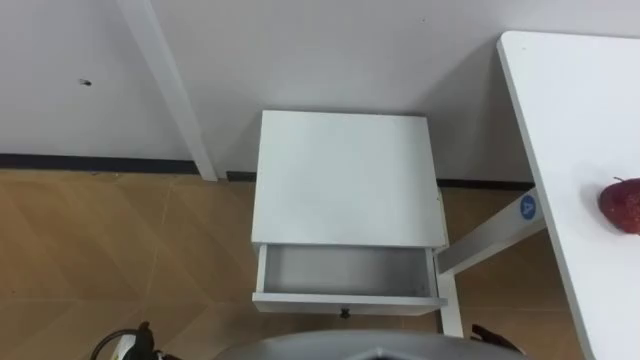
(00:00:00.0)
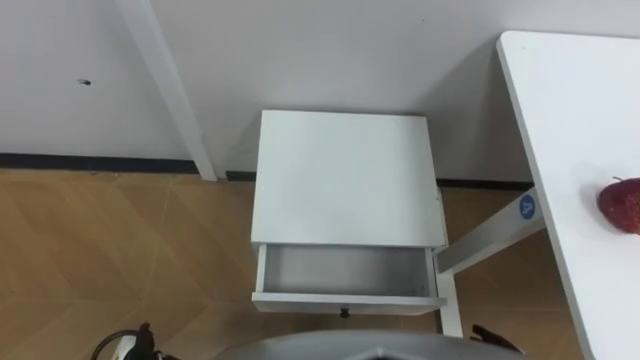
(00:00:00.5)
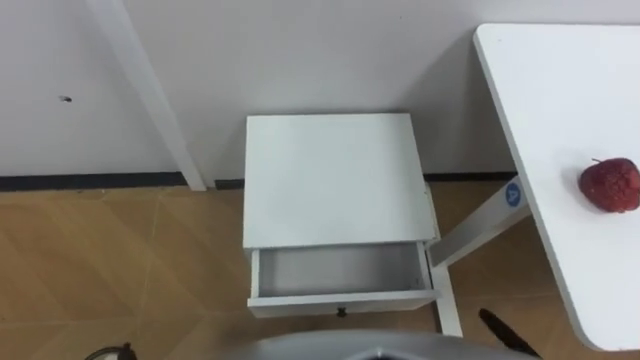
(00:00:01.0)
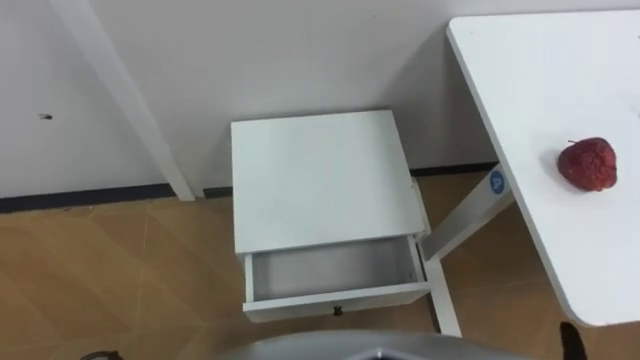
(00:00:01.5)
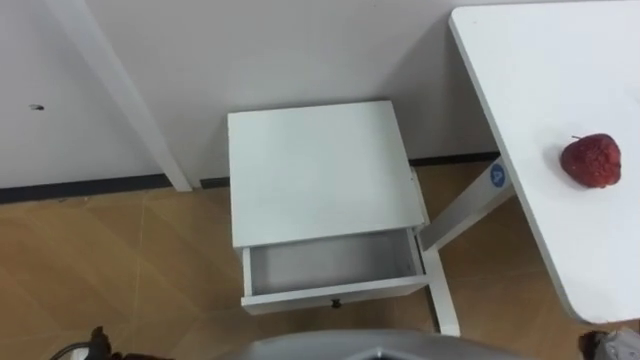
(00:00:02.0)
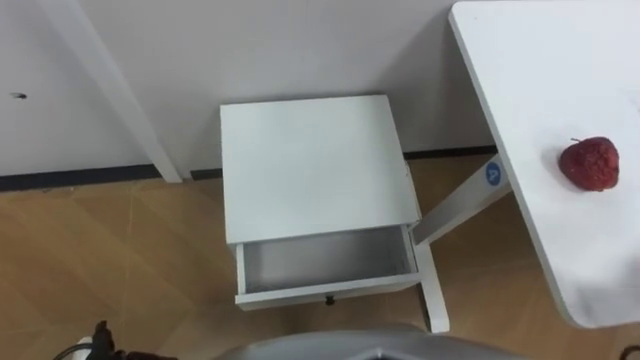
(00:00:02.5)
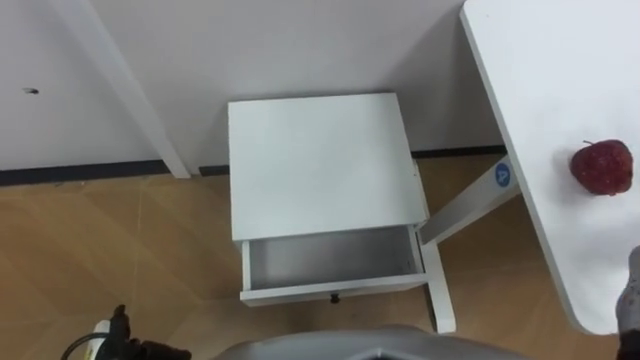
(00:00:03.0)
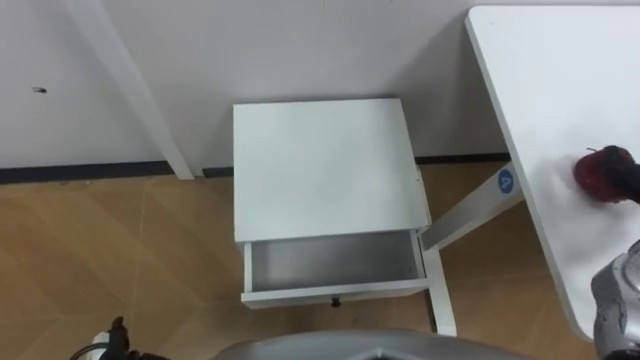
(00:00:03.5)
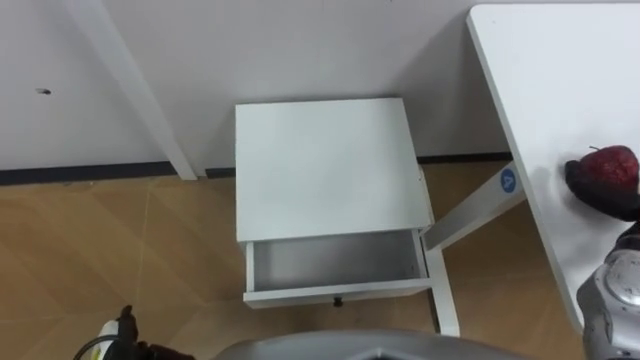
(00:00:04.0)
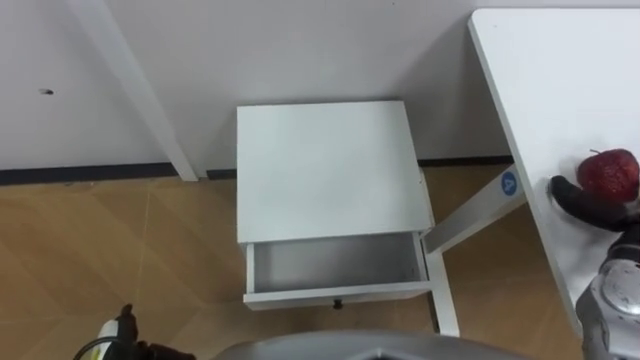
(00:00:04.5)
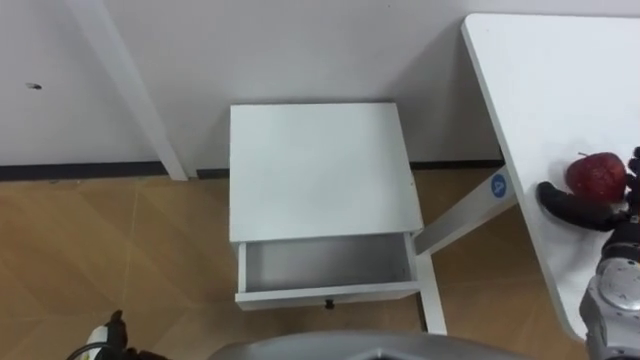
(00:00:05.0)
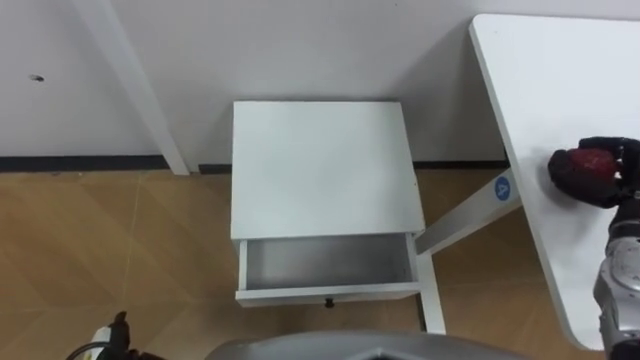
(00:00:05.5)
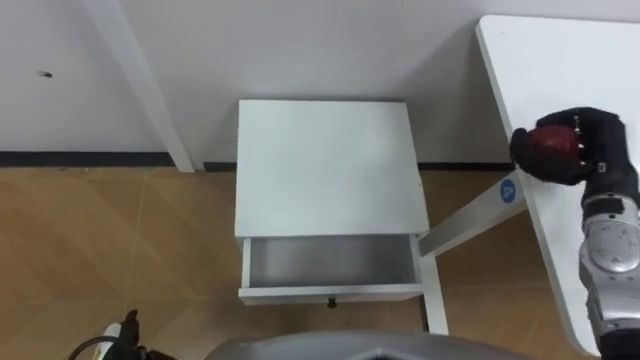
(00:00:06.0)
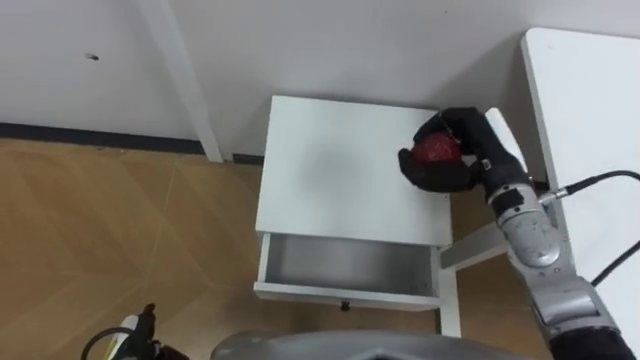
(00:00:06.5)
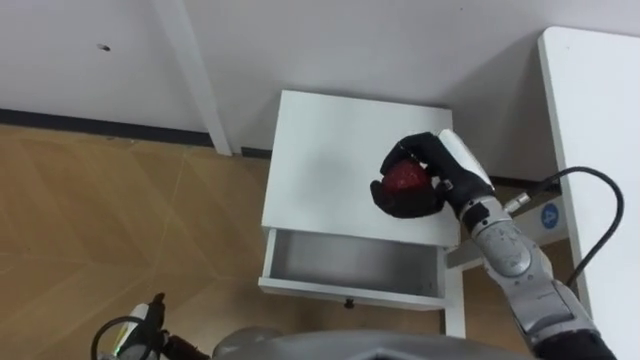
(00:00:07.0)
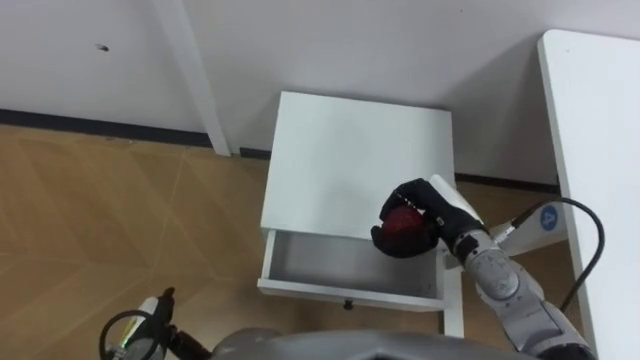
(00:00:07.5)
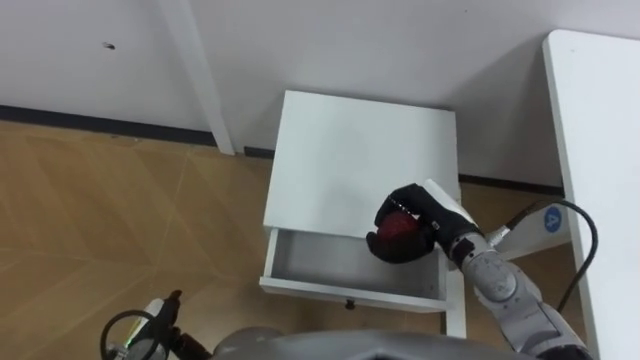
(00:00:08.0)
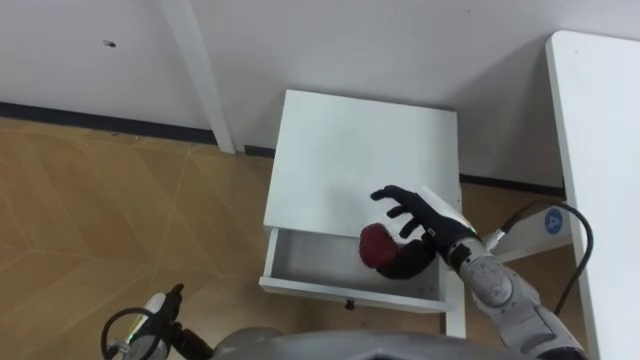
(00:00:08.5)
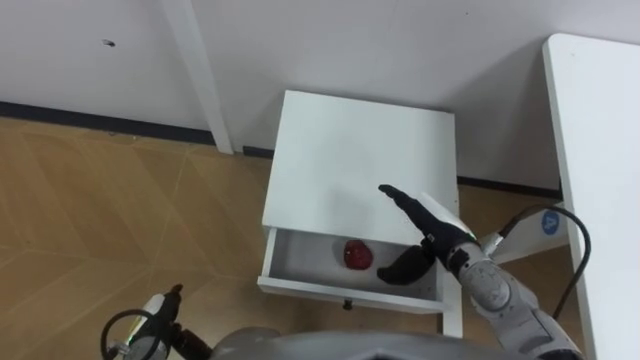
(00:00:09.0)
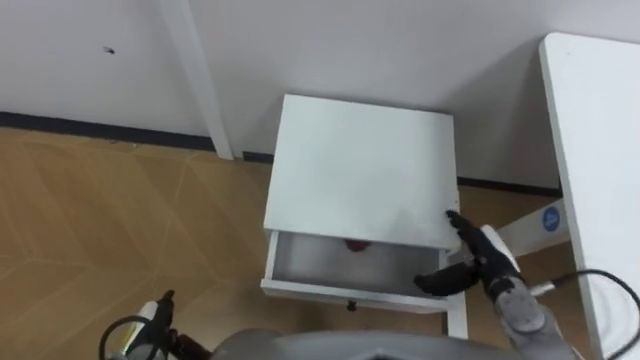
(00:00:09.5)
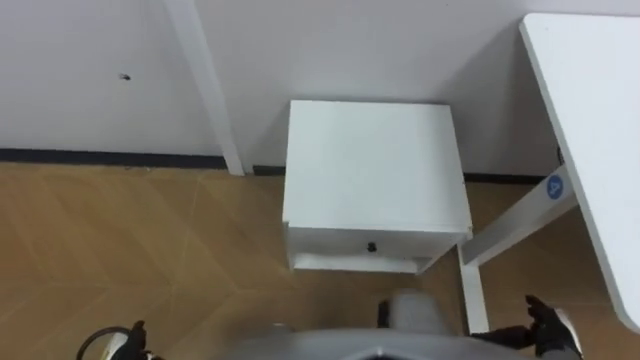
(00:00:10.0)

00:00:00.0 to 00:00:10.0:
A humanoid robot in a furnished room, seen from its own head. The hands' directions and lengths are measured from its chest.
Task of the whole recording: Pick up the apple from the table, put it in the drawer, and close the drawer with leg.
00:00:06.0 to 00:00:08.0: The right hand travels to the left and downward by some 20 cm, while the left hand shifts by some 5 cm.
00:00:08.0 to 00:00:10.0: The right hand is displaced to the right, backward and downward by roughly 25 cm, and opens its fingers.

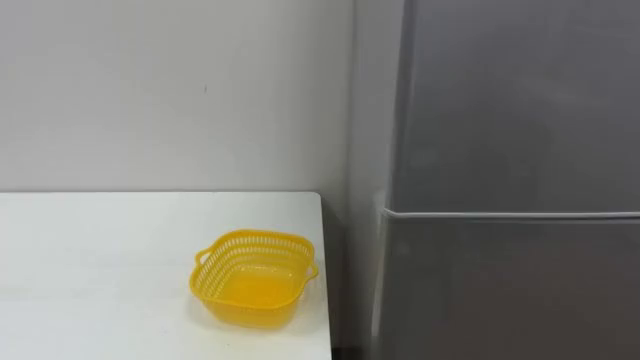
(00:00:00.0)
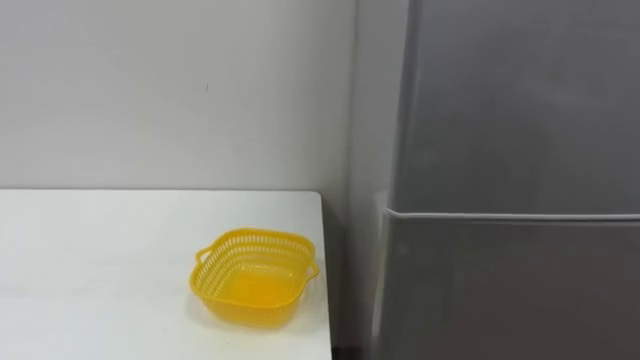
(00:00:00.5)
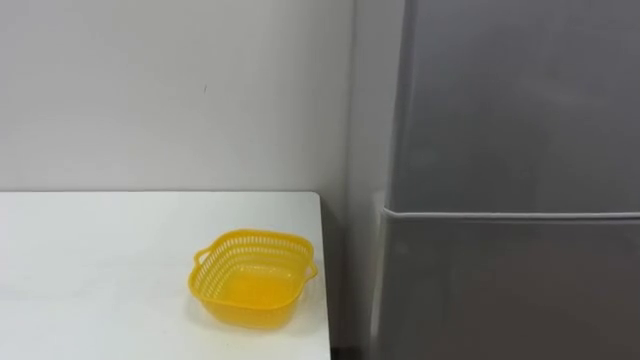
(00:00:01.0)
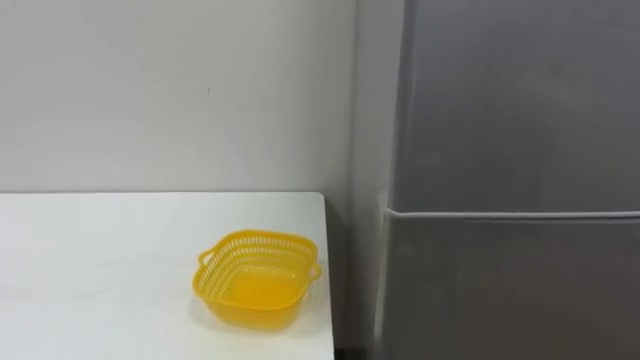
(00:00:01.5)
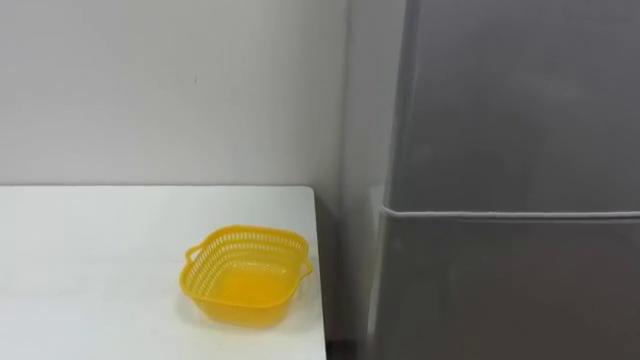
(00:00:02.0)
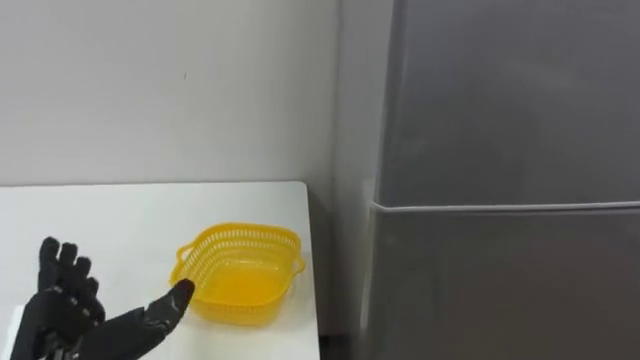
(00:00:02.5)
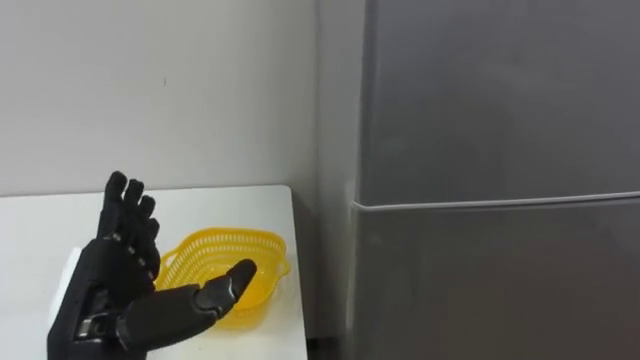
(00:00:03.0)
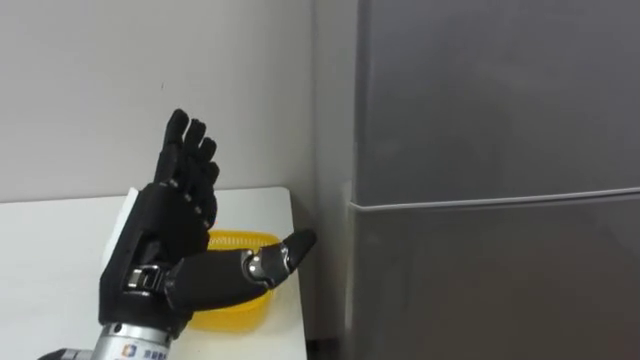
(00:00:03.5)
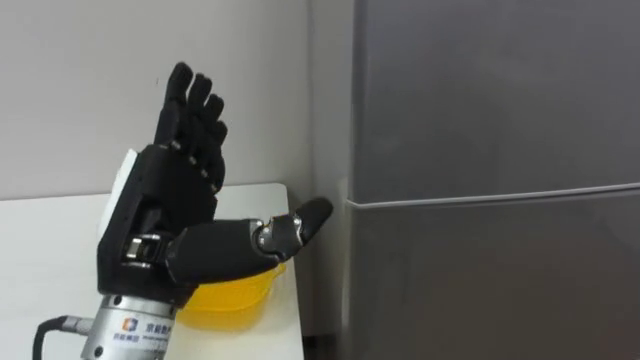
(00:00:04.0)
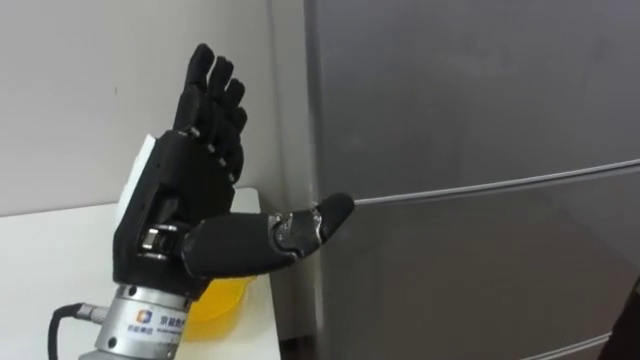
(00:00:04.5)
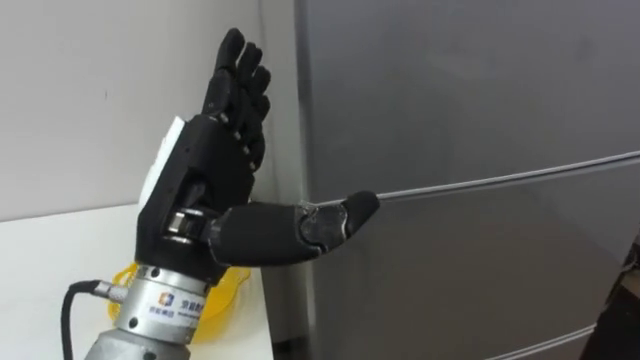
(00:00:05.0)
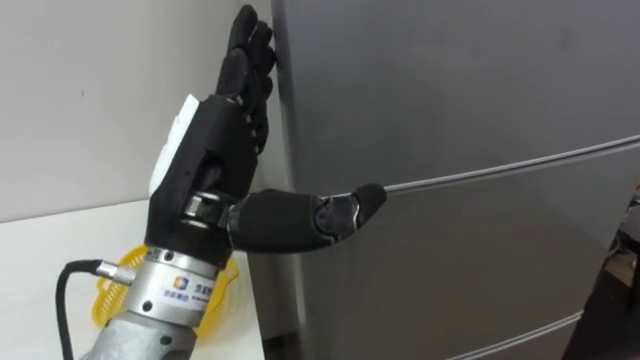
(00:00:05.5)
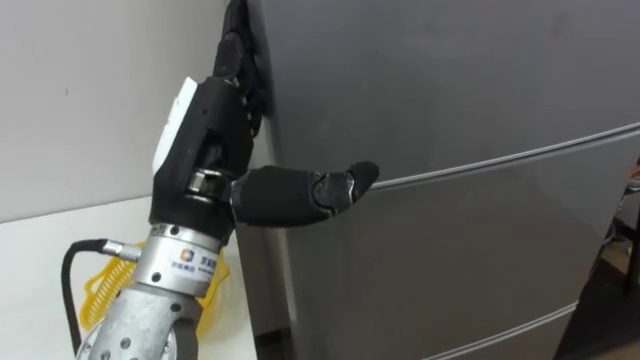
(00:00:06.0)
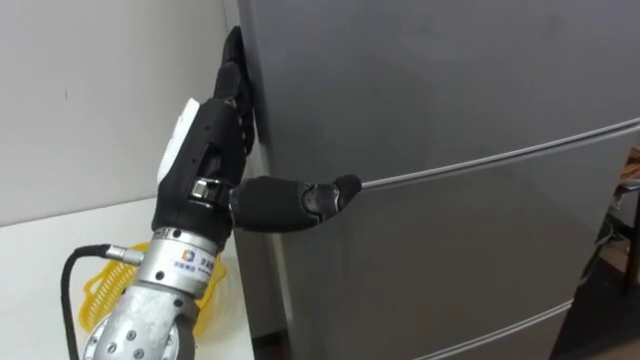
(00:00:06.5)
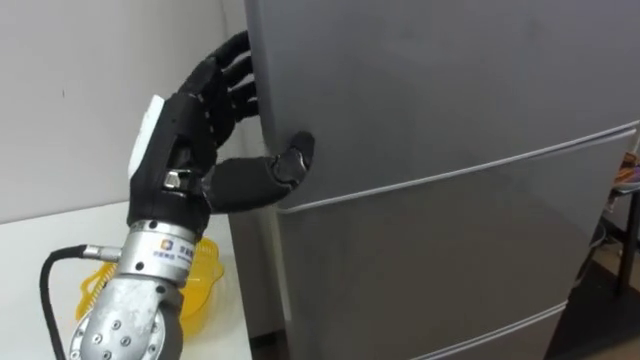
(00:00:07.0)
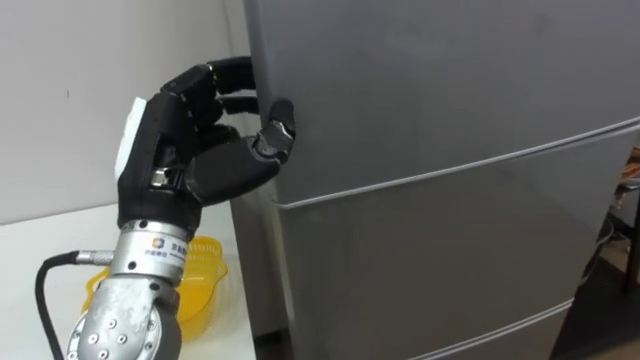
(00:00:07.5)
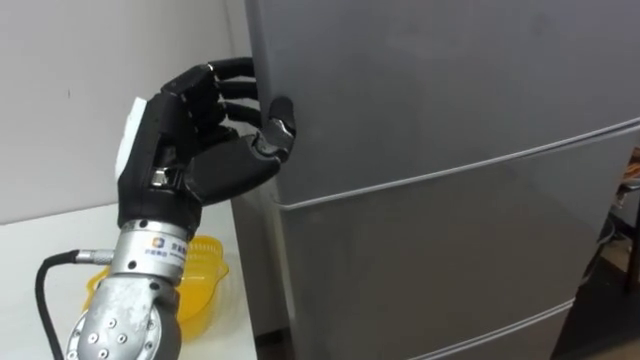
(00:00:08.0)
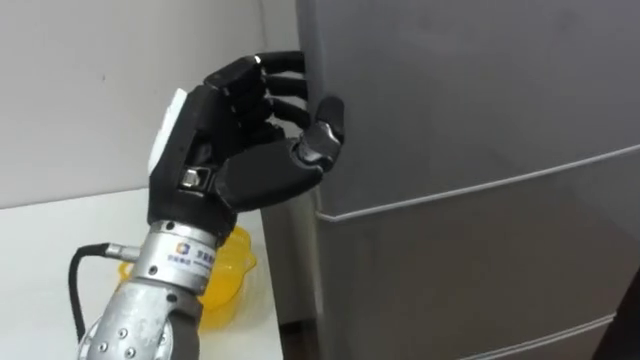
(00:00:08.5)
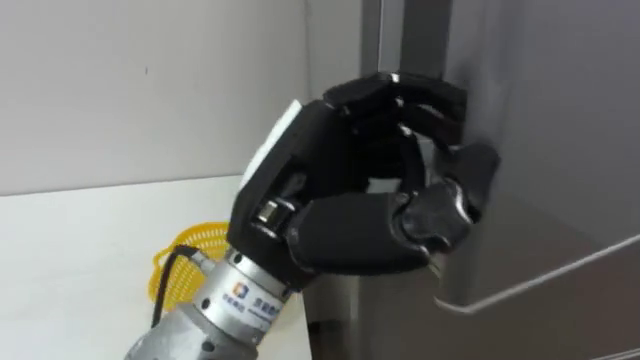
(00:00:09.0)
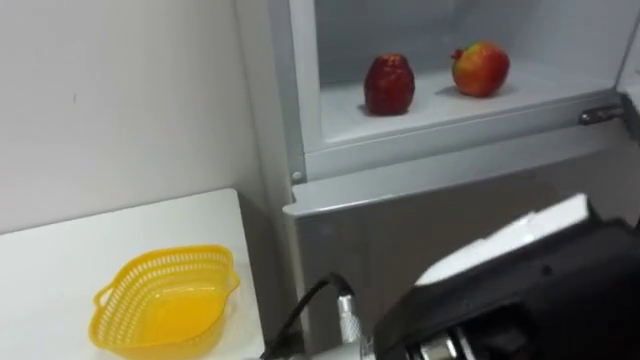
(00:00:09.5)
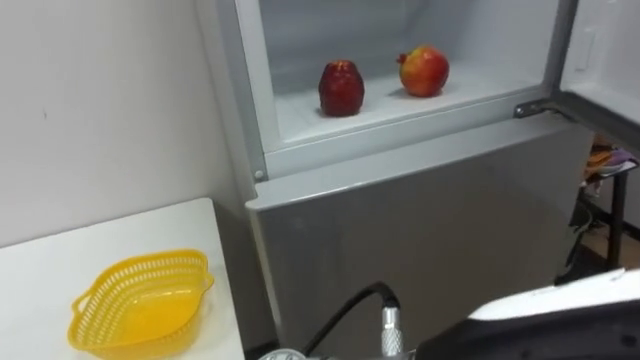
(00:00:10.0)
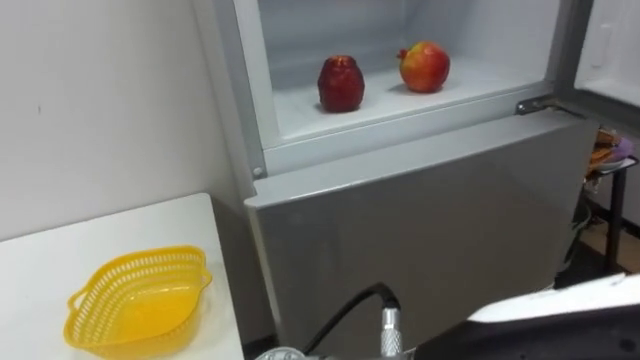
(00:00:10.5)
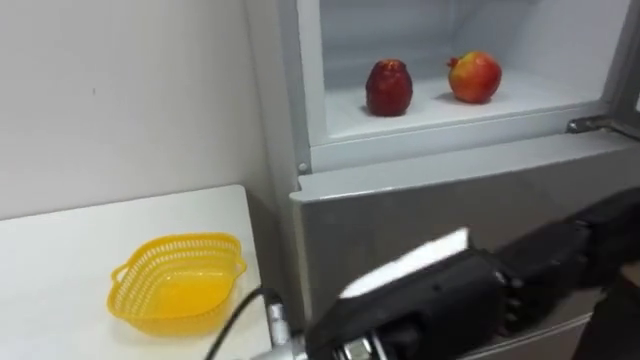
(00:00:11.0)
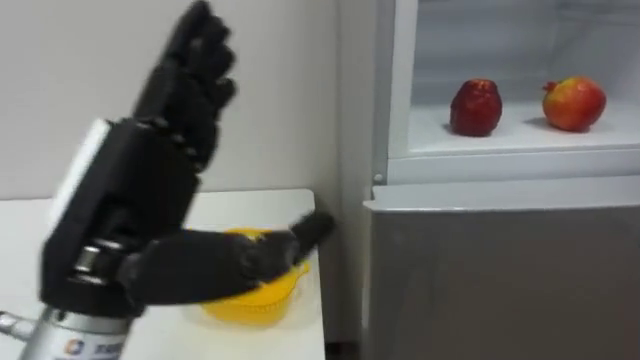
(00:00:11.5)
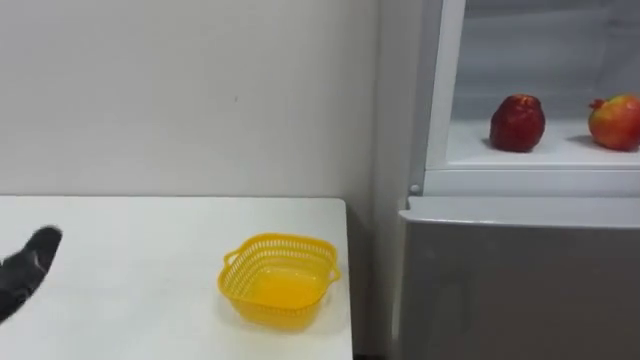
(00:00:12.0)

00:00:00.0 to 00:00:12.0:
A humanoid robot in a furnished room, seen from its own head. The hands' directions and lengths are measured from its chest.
Task of the whole recording: Open the refrigerator door, take out the apple and the pomegranate, place them in the fruit basket on the left, and close the refrigerator door.
00:00:04.0 to 00:00:06.0: The left hand shifts by some 5 cm.
00:00:06.0 to 00:00:08.0: The left hand ends up approximately 5 cm from where it was, and closes its fingers.
00:00:08.0 to 00:00:10.0: The left hand moves to the right and backward, roughly 30 cm.
